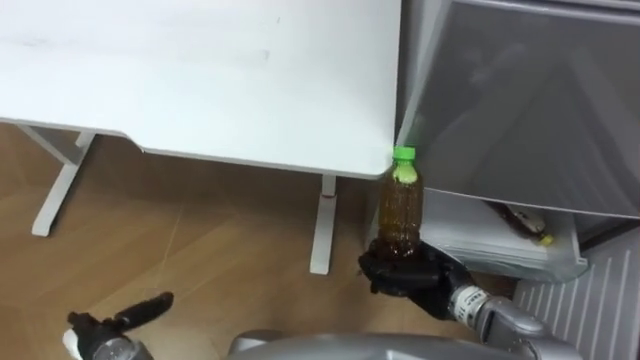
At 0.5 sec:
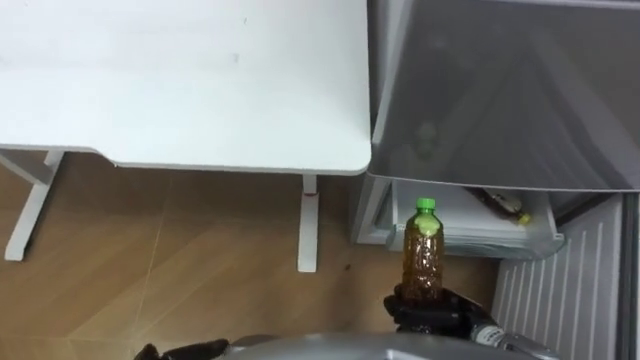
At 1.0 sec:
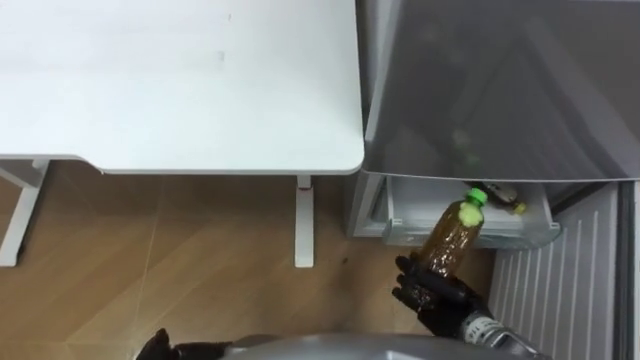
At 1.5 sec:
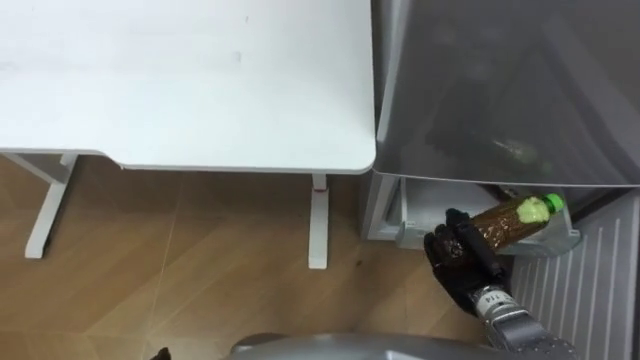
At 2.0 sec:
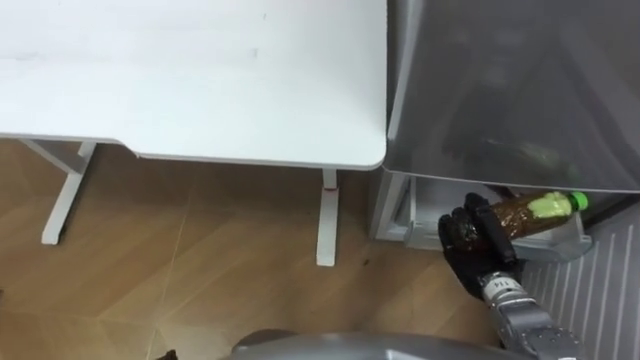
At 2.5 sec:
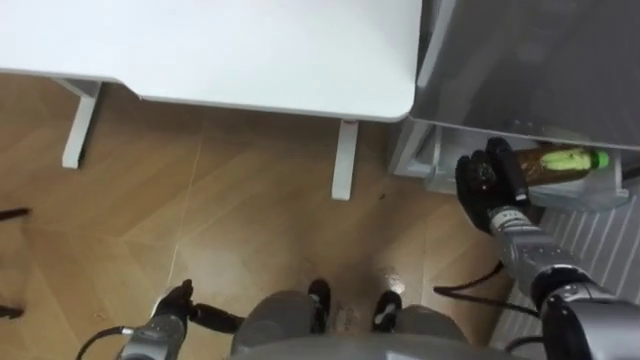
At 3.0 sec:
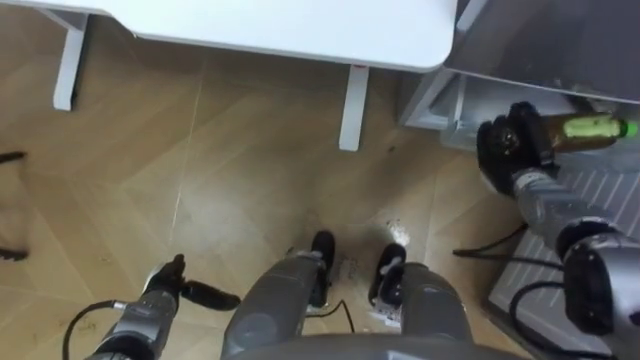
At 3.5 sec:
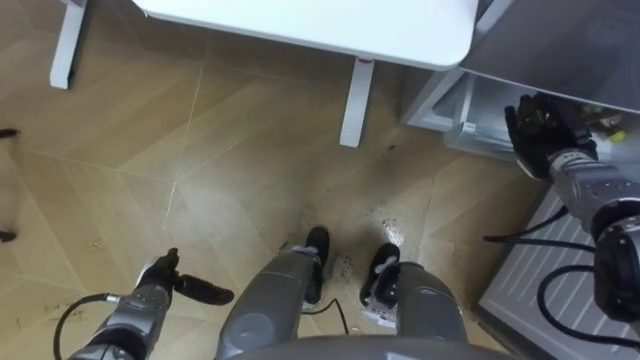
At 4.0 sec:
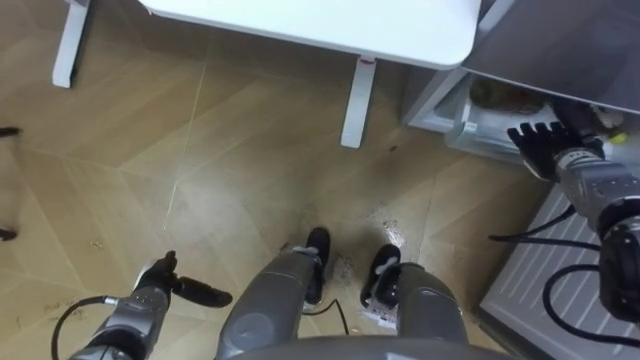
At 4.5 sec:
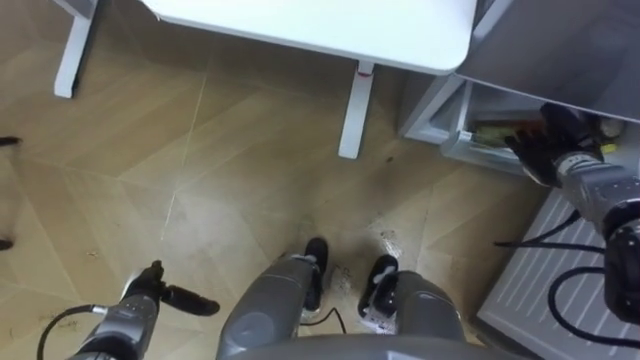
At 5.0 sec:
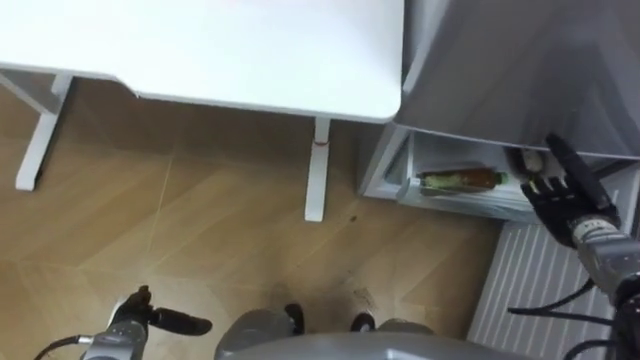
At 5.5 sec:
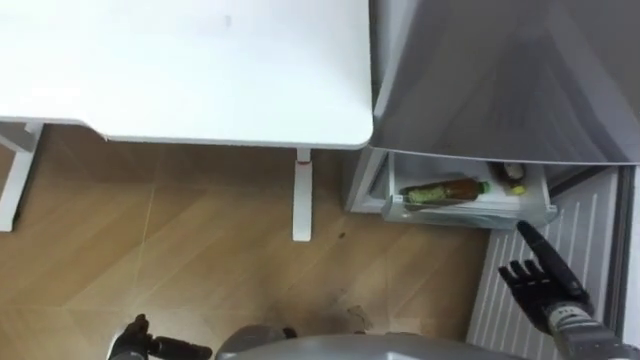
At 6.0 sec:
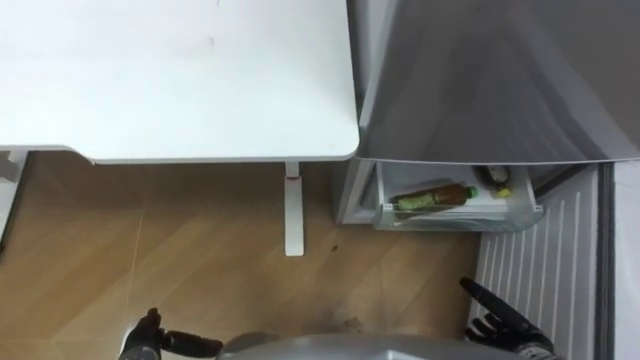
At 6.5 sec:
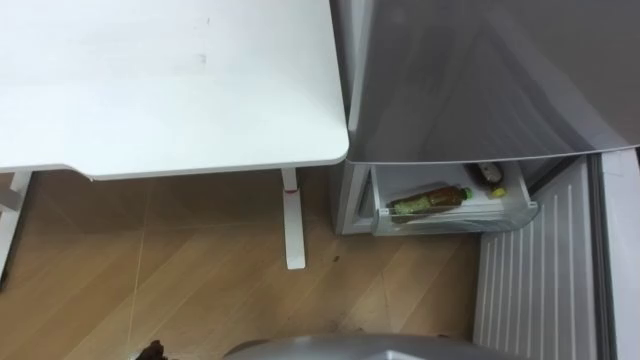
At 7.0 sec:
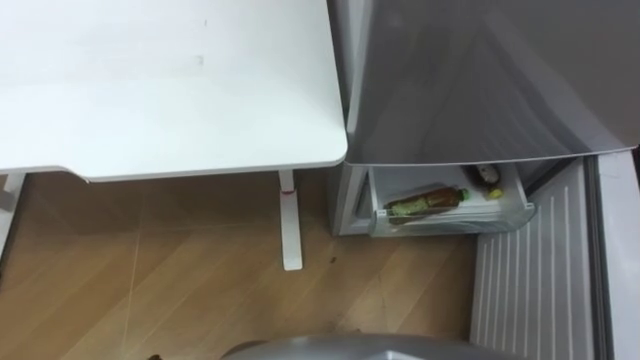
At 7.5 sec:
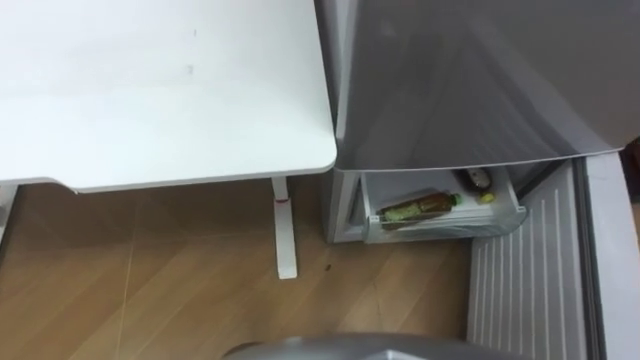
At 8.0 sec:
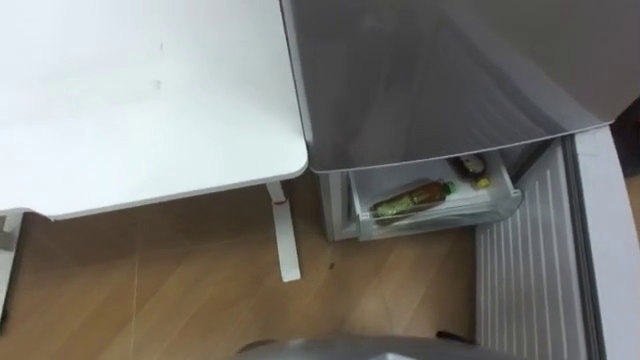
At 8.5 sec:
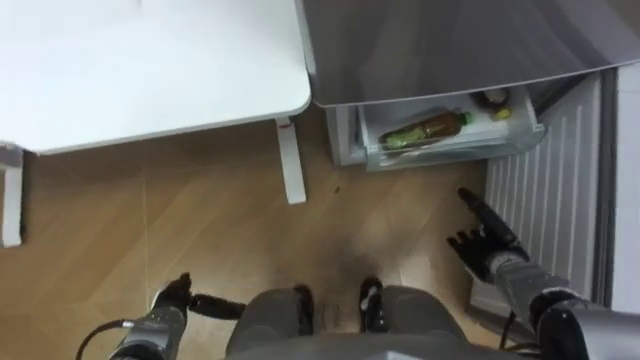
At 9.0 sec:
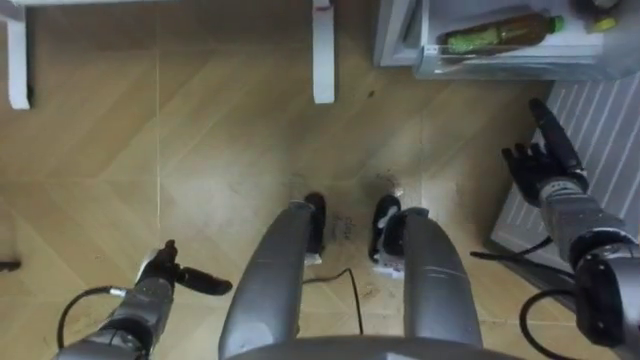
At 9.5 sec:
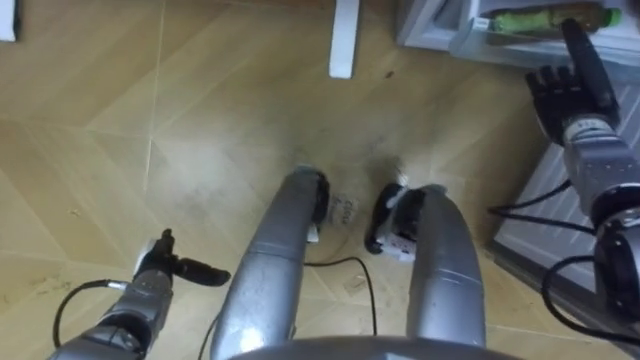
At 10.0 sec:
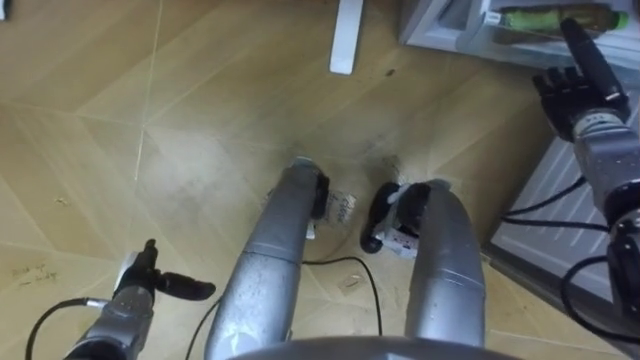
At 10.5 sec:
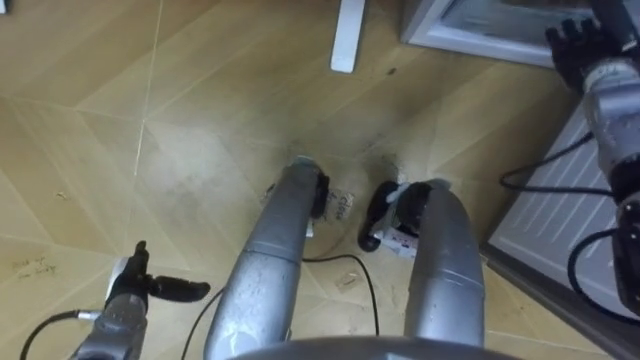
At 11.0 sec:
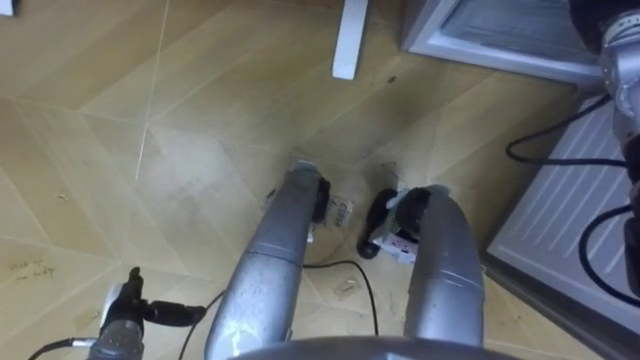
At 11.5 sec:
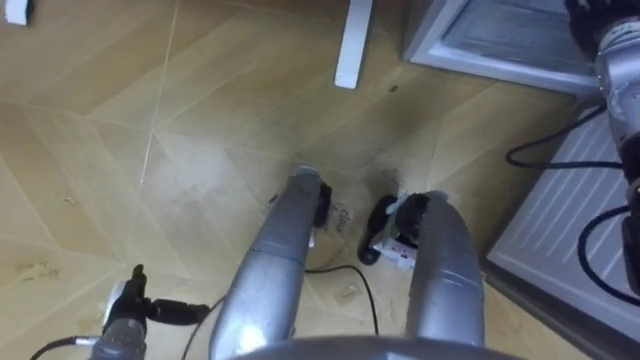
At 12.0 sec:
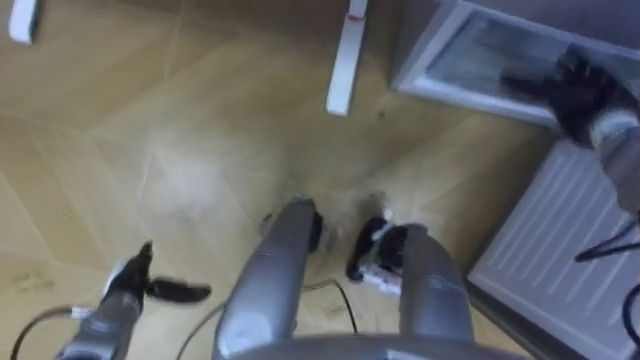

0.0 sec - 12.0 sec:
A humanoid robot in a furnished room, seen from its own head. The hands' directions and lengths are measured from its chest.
Task of the whole recording: Place the drink on the table on the bottom shelf of the refrigerator, then close the drawer and the refrigerator door.
0.0 sec - 2.0 sec: The right hand heads to the right, covering roughly 10 cm.
2.0 sec - 4.0 sec: The right hand goes about 20 cm forward, to the right and upward, and opens up.
4.0 sec - 6.0 sec: The right hand travels backward and downward by roughly 30 cm. The left hand heads backward, covering approximately 10 cm.
10.0 sec - 12.0 sec: The right hand moves approximately 10 cm upward and comes back.

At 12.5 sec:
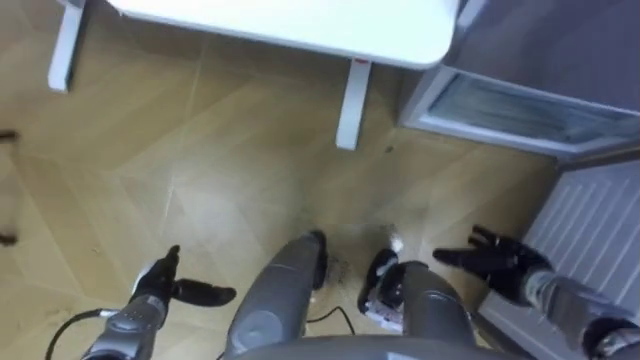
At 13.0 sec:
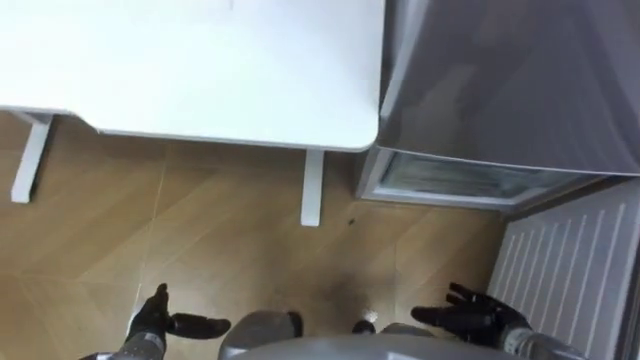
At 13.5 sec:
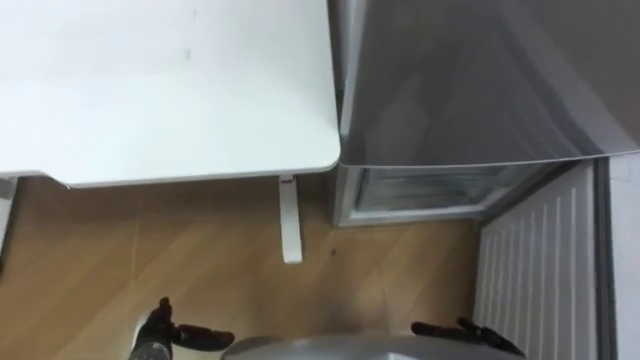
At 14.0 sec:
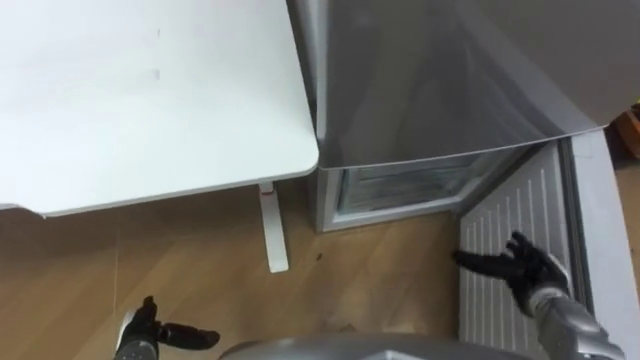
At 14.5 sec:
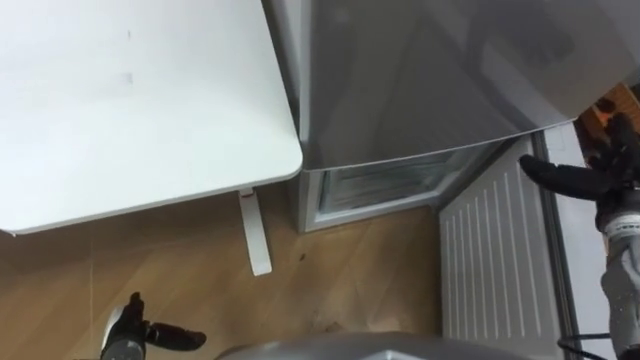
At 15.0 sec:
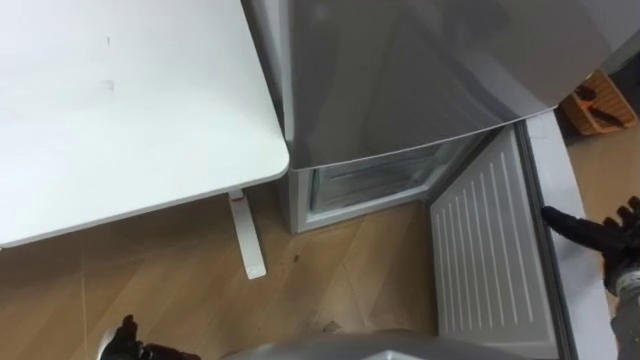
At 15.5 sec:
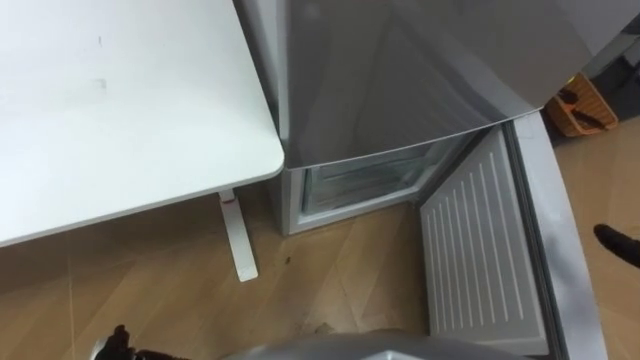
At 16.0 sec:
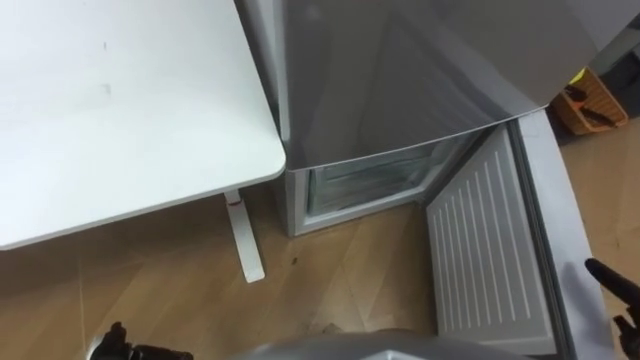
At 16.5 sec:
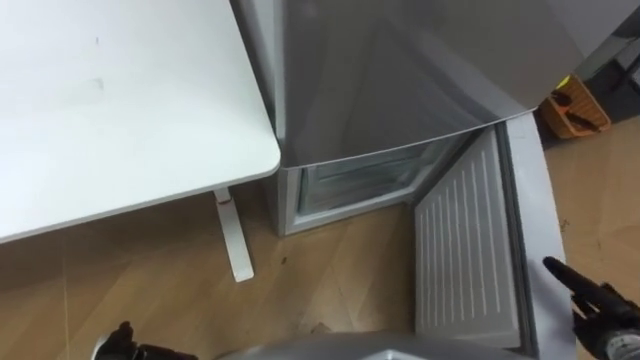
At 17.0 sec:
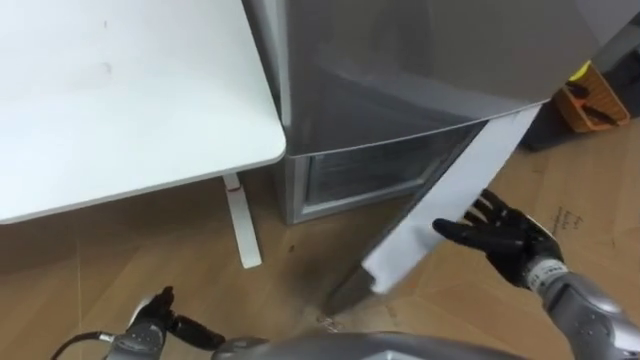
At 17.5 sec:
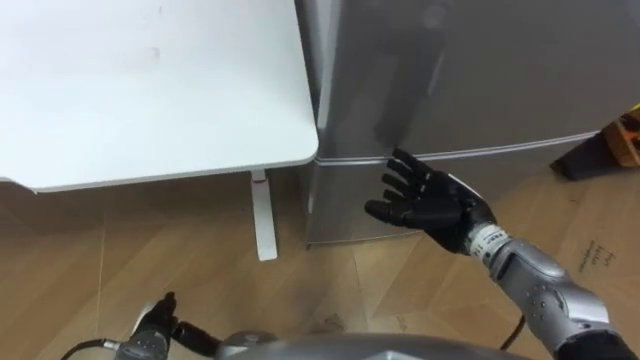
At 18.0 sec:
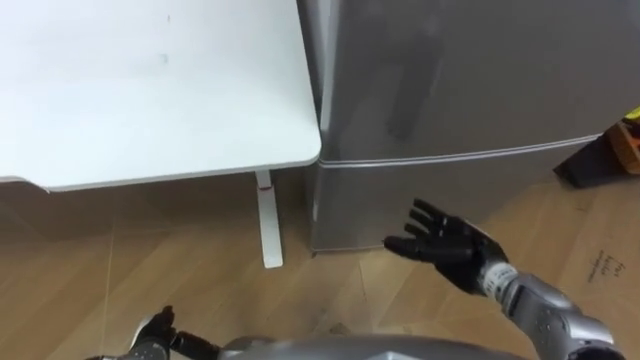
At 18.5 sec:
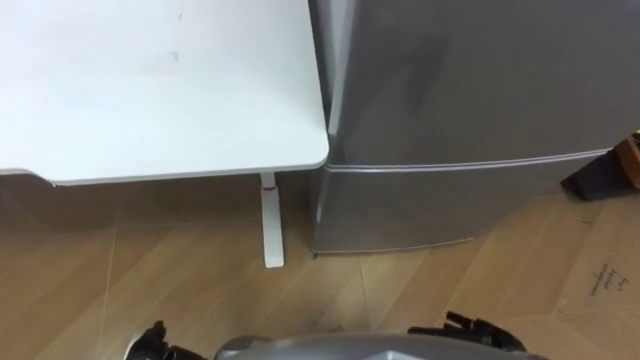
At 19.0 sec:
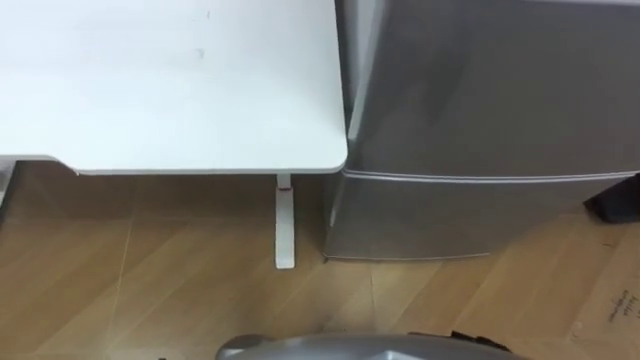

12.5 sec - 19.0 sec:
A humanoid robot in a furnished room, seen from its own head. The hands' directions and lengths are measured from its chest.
Task of the whole recording: Place the drink on the table on the bottom shelf of the refrigerator, then close the drawer and the refrigerator door.
12.5 sec - 14.5 sec: The left hand travels backward by about 5 cm.

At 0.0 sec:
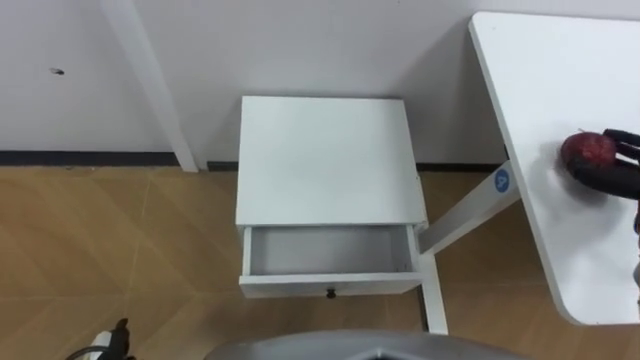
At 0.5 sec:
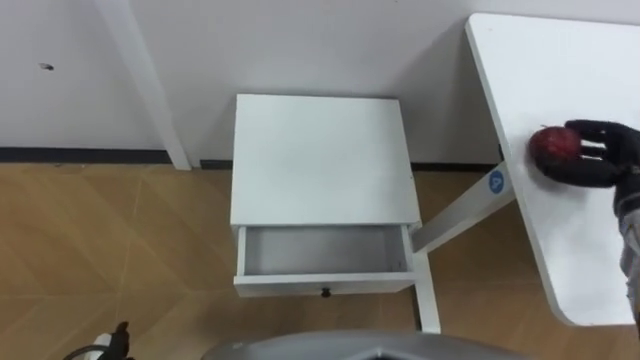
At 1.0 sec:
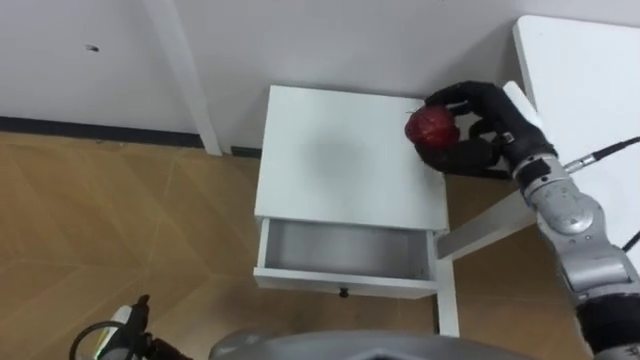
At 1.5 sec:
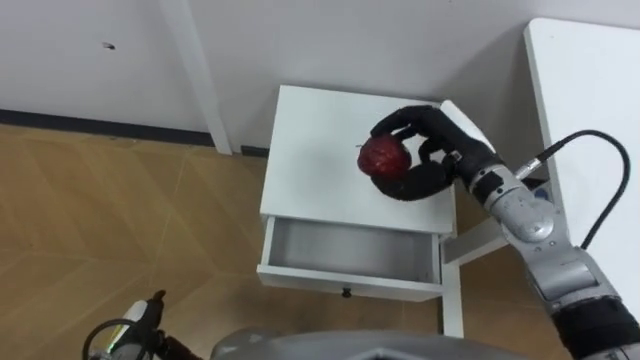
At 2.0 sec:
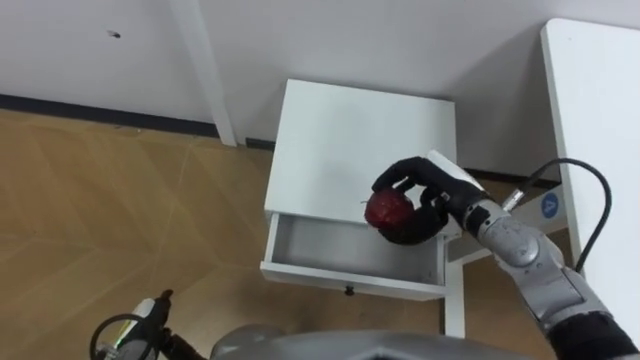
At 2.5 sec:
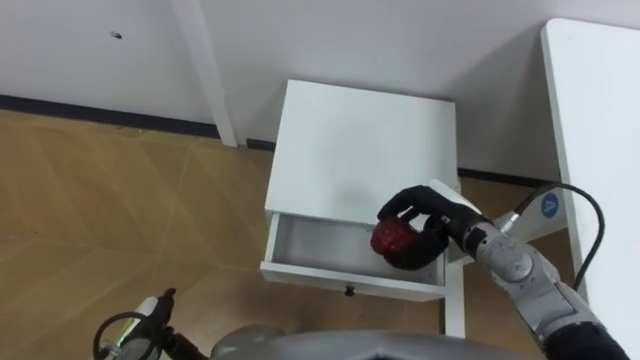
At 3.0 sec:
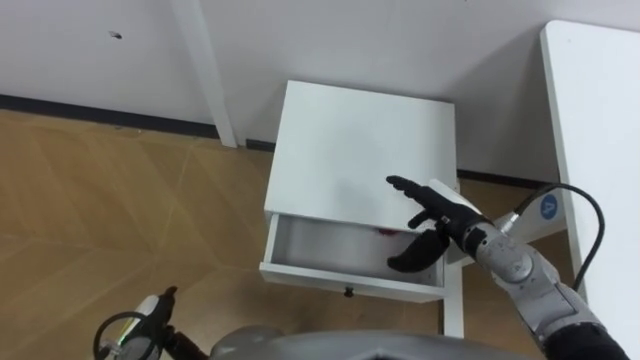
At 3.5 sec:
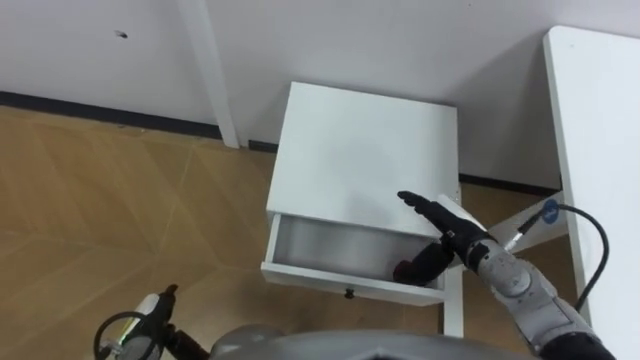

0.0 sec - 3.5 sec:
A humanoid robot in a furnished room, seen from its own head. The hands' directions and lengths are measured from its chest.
Task of the whole recording: Pick up the apple from the table, put it in the drawer, and close the drawer with leg.
2.0 sec - 3.5 sec: The right hand heads downward, covering some 5 cm, and opens its fingers.
